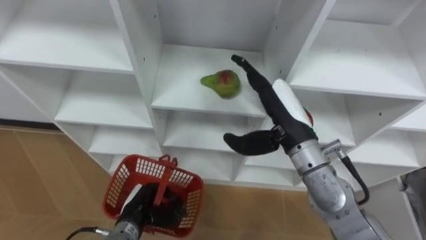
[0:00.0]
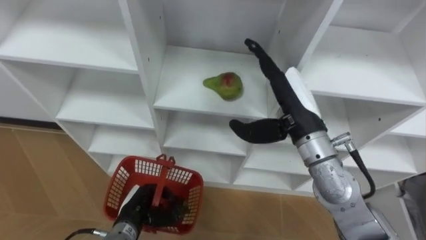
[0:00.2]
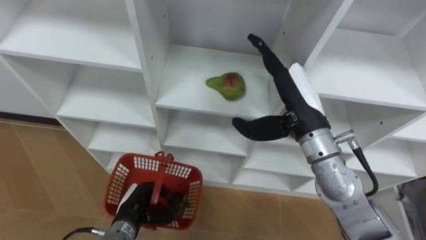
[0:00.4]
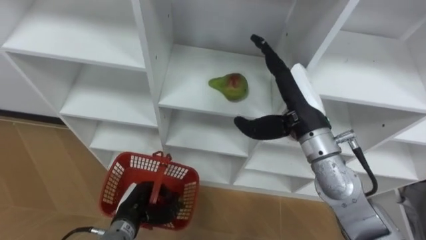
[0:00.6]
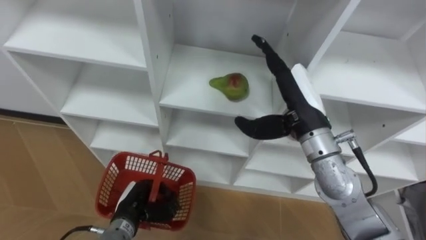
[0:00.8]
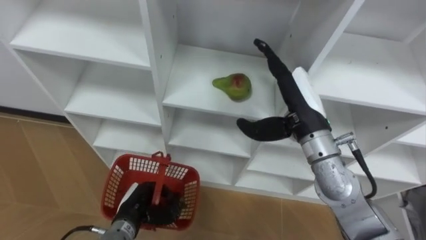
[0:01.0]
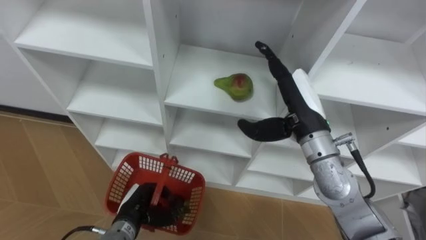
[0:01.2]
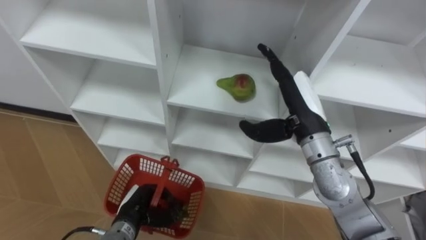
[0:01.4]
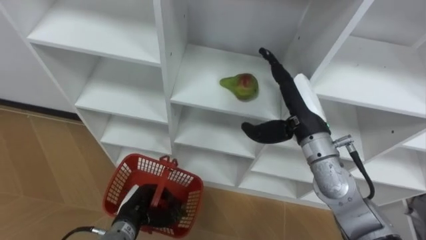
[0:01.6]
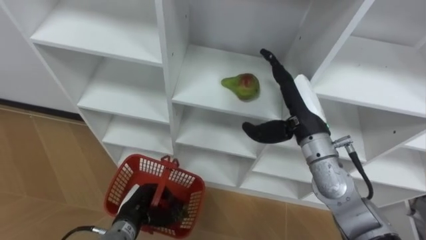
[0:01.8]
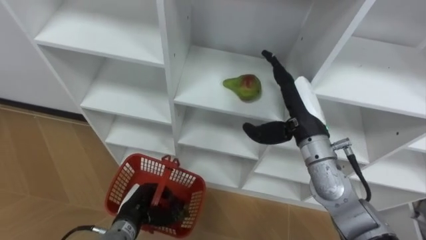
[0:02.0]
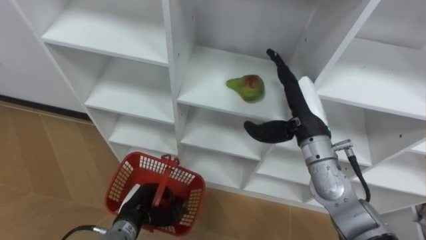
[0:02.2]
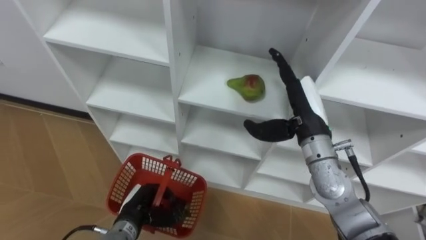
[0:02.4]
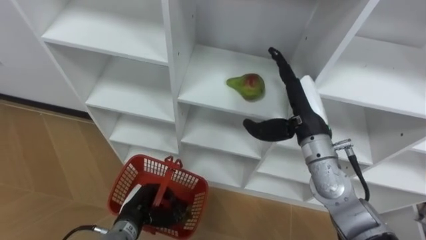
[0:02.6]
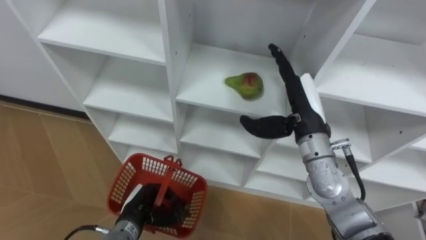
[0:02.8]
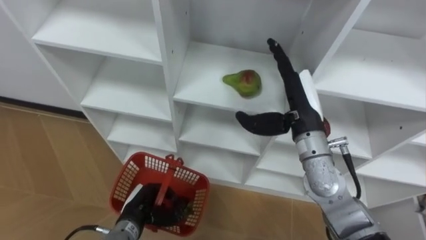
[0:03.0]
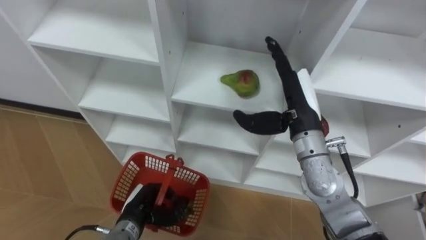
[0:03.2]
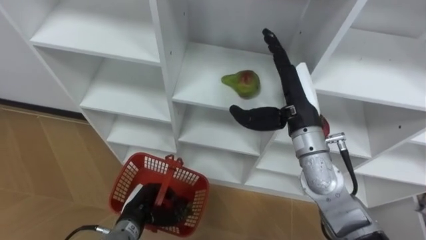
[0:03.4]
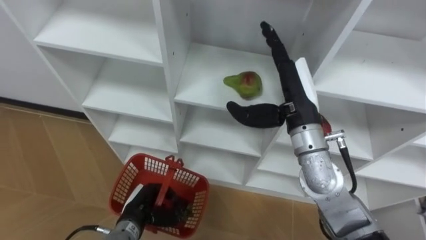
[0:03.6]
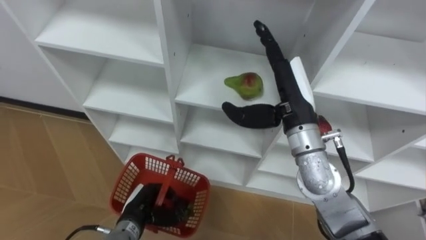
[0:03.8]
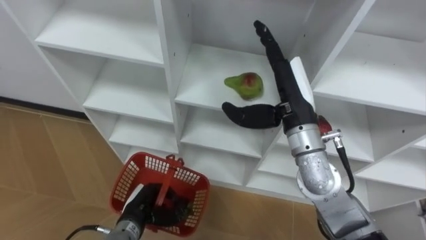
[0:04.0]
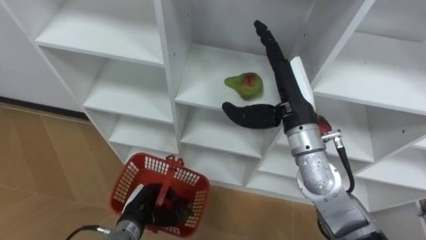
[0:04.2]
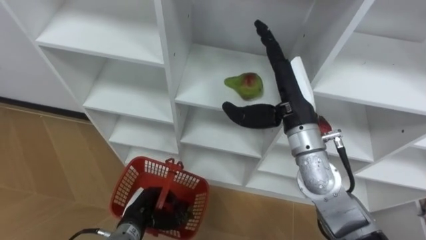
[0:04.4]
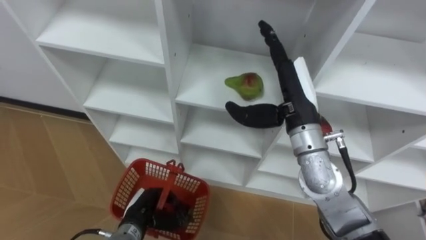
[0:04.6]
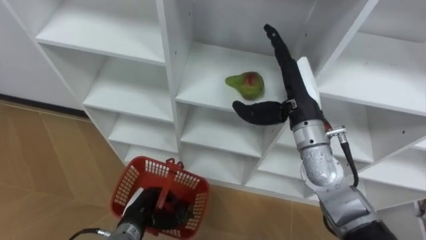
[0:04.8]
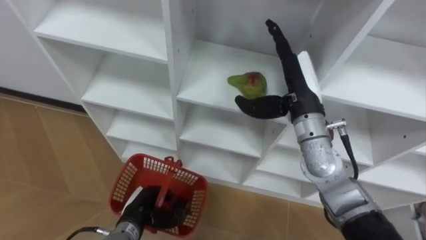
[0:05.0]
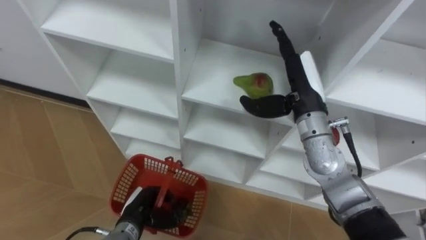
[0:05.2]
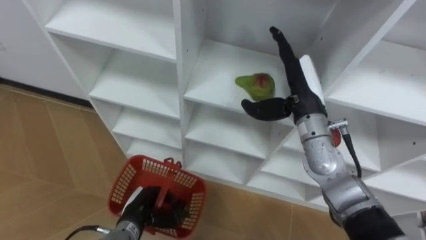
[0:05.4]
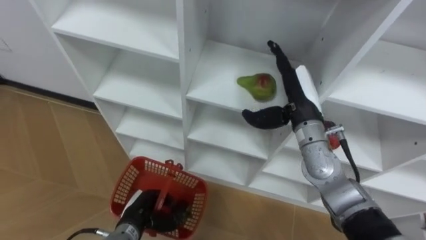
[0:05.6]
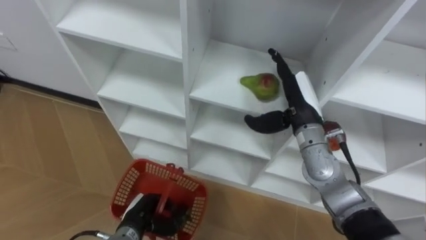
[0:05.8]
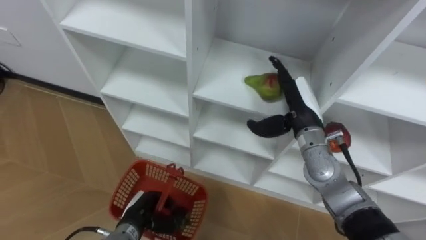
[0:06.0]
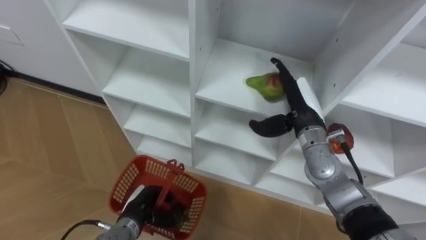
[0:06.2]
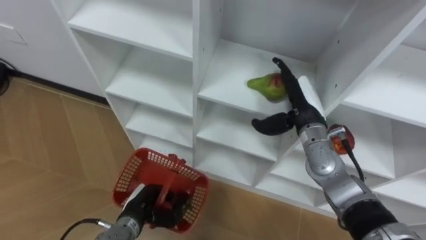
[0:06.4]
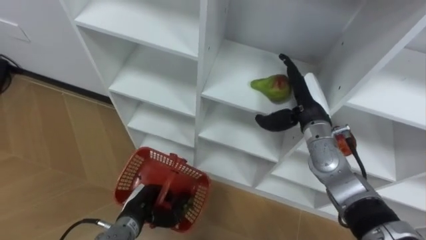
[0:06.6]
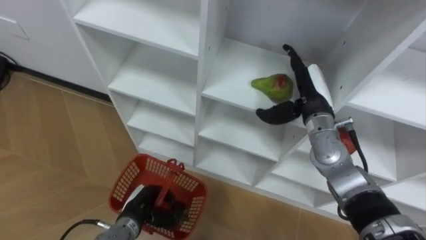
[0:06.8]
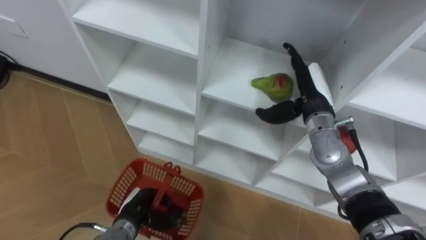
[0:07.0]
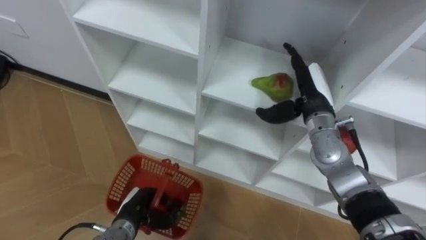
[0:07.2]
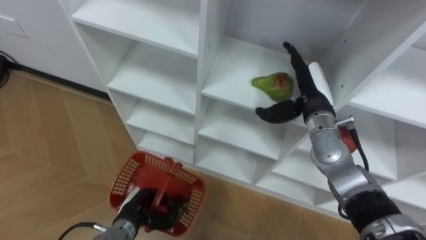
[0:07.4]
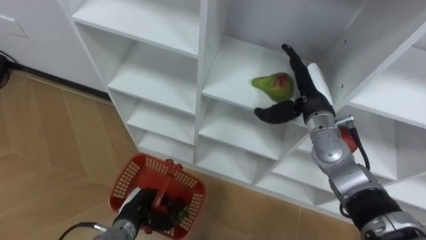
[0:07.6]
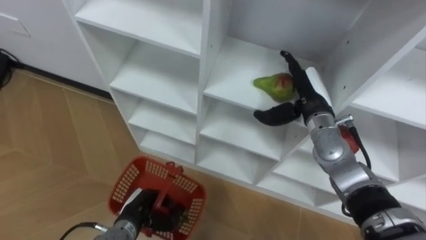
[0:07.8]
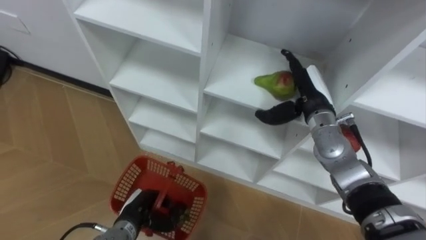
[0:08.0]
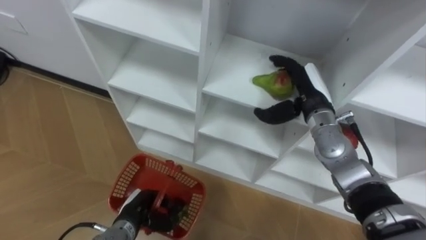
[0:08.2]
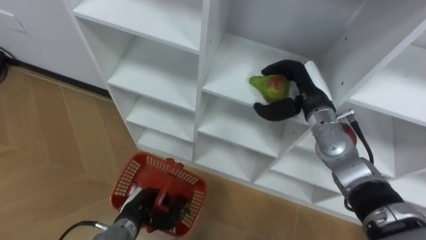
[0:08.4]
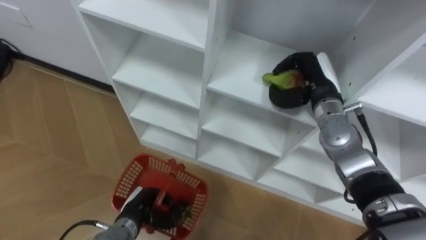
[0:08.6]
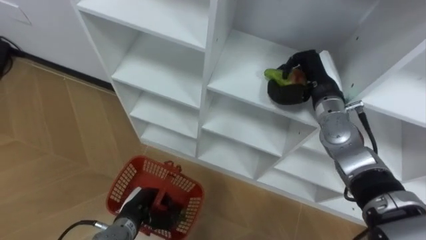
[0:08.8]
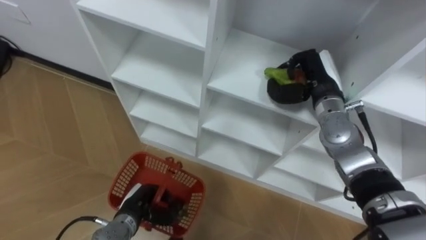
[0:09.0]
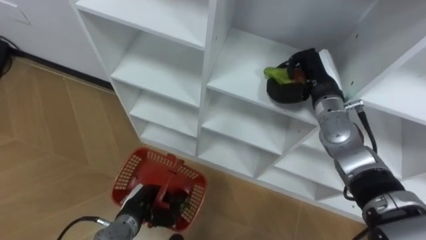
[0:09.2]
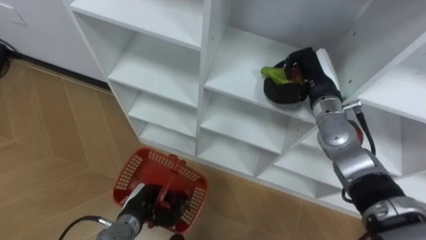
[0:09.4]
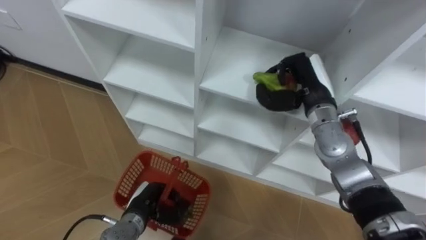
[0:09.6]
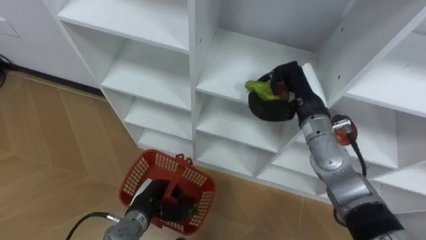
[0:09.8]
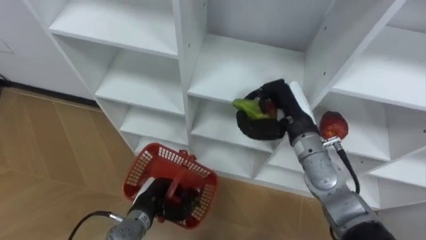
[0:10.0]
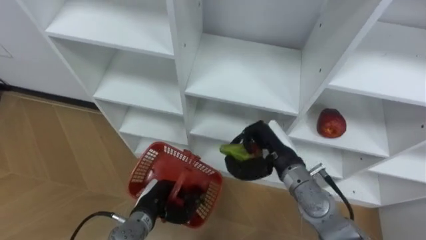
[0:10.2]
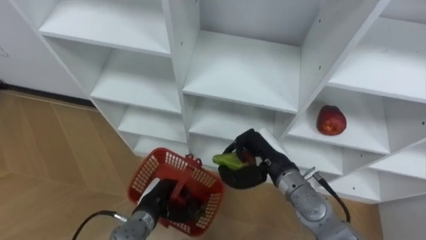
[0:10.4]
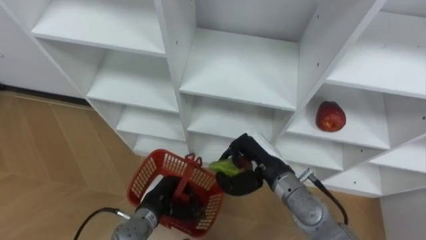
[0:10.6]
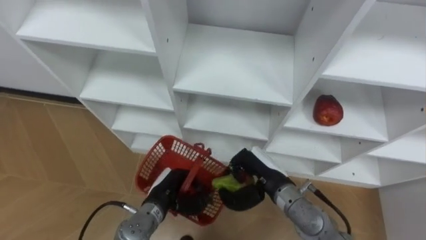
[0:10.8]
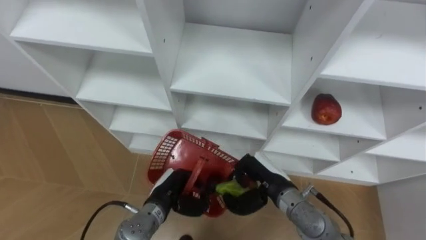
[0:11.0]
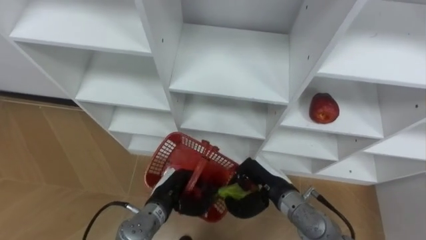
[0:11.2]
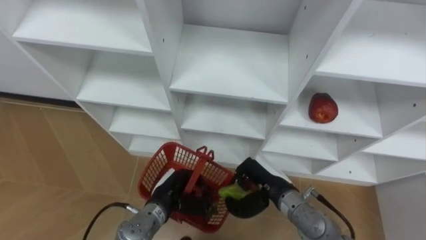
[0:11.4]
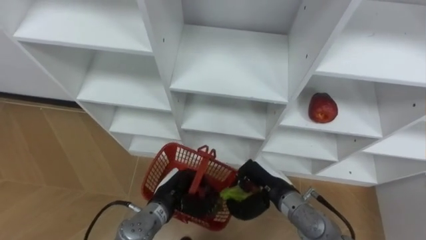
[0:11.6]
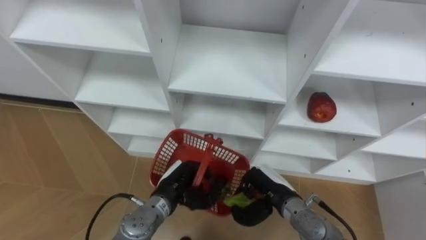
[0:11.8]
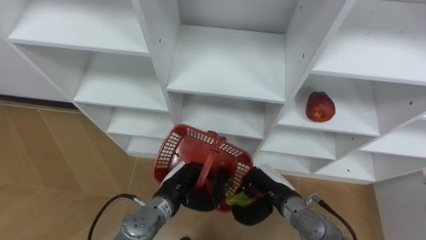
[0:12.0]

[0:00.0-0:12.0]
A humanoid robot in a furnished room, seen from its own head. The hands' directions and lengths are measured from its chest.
Task of the whole recording: Hold the basket and collect the fruits from 3 different cells of the closet into it.
3.0 to 4.4 s: There are only small adjustments of the hands.
4.4 to 6.0 s: The right hand moves downward, roughly 10 cm.
7.6 to 9.0 s: The right hand closes.
9.0 to 10.4 s: The right hand travels backward, to the left and downward by about 15 cm.
10.4 to 12.0 s: The left hand shifts roughly 5 cm to the right. The right hand goes approximately 5 cm downward.

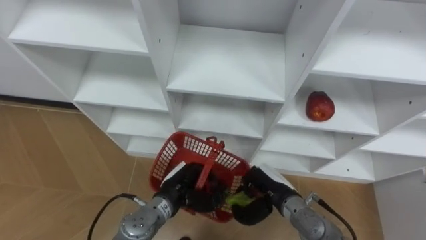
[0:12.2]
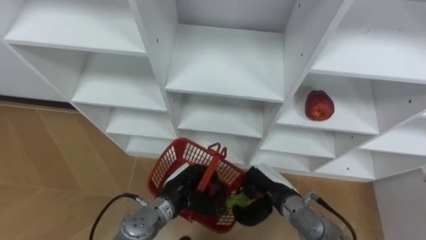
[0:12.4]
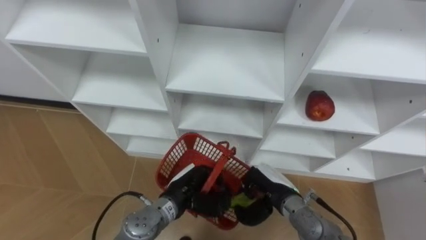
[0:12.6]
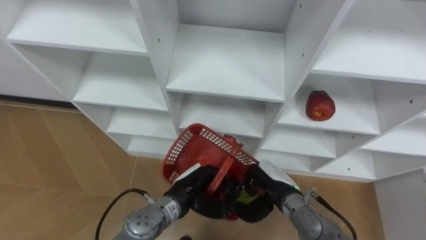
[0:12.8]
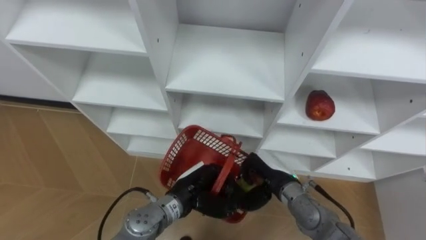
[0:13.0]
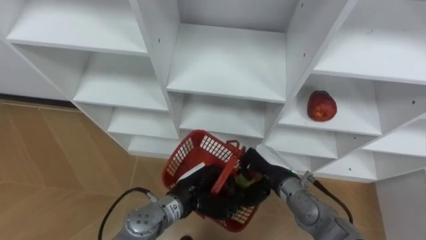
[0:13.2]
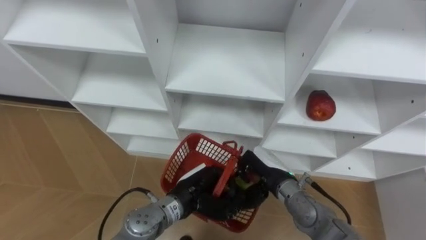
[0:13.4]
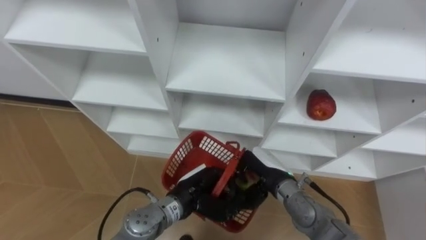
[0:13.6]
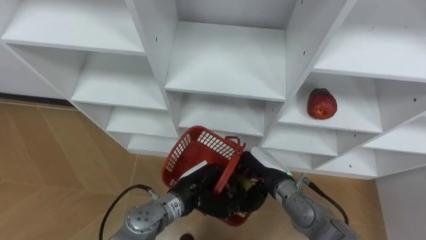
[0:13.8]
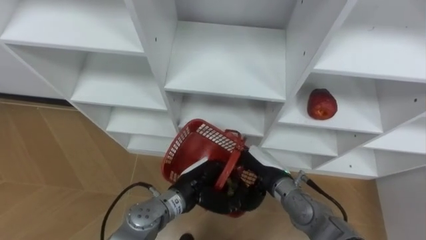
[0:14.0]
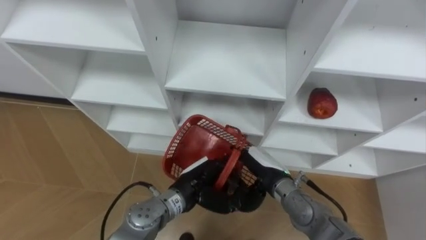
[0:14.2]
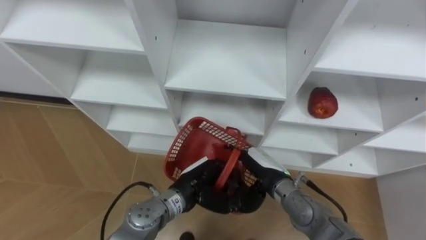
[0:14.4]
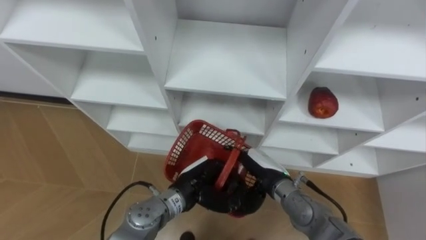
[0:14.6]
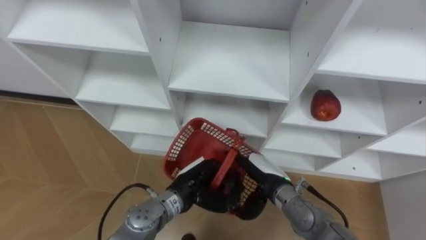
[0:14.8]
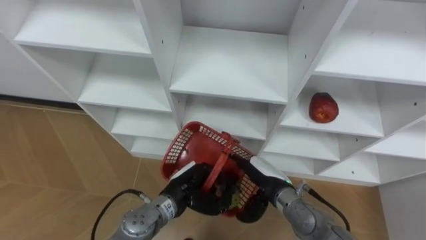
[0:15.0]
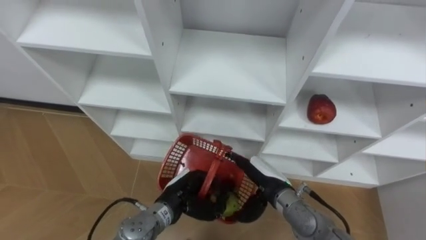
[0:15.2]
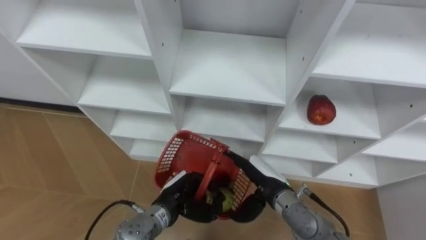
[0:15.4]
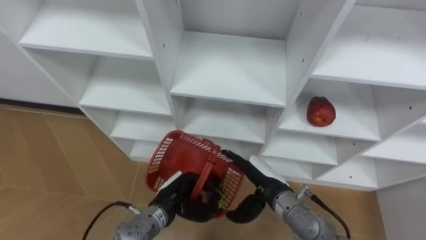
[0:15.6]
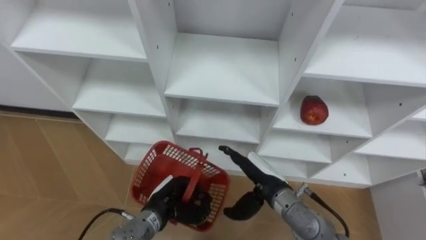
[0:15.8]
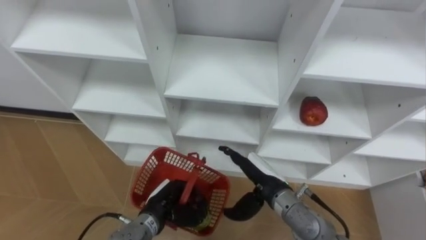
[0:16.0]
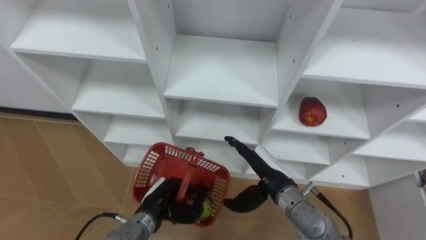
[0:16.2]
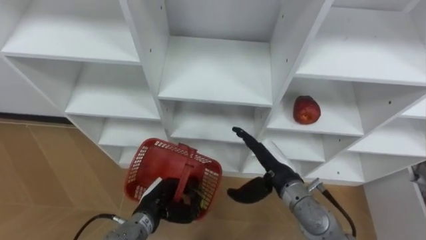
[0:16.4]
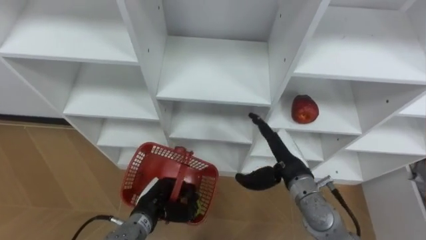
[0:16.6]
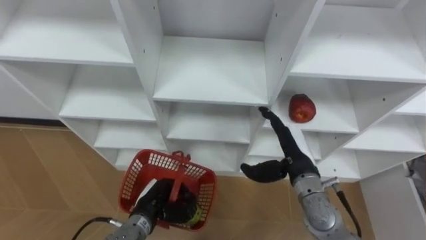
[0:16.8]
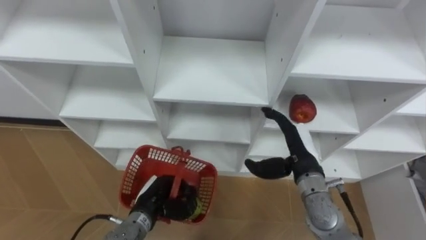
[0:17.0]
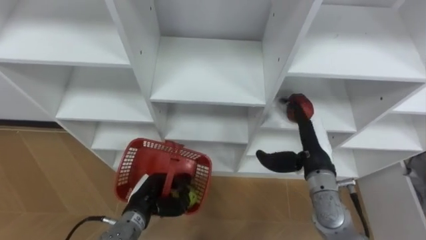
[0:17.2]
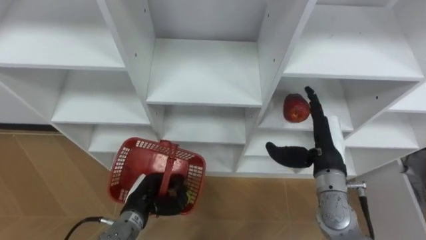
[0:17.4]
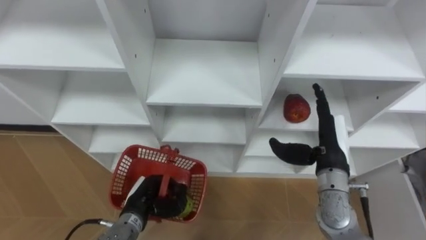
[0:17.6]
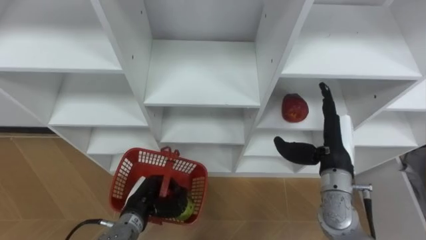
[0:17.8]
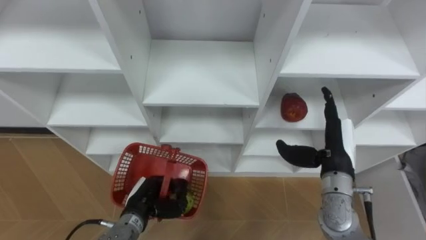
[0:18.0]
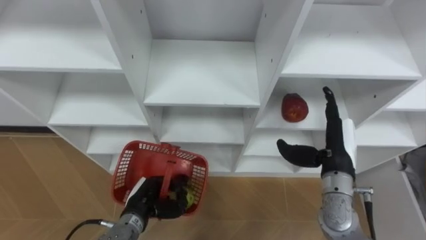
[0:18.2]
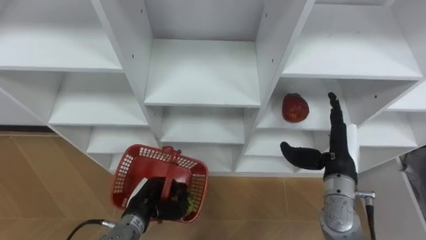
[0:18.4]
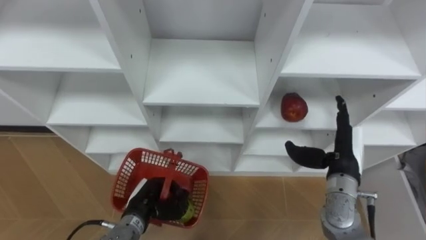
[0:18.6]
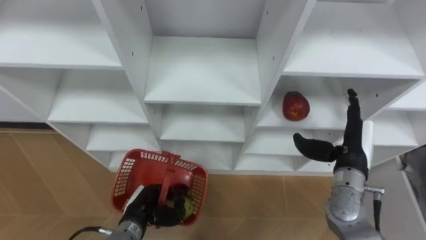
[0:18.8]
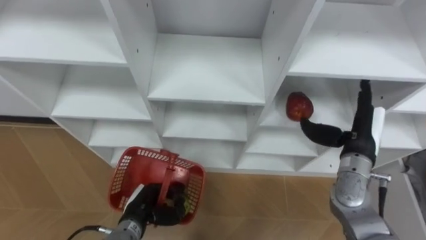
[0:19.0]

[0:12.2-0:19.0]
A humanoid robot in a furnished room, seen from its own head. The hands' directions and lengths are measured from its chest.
Task of the whole recording: Hold the basket and collect the fruits from 3 different cells of the closet into it.
12.2 to 13.6 s: The hands move only a little.
13.6 to 15.0 s: The right hand opens.
15.0 to 16.2 s: The left hand shifts some 5 cm to the left.
16.2 to 17.6 s: The right hand moves to the right and upward, some 15 cm.
17.6 to 19.0 s: The right hand goes some 5 cm to the right.
